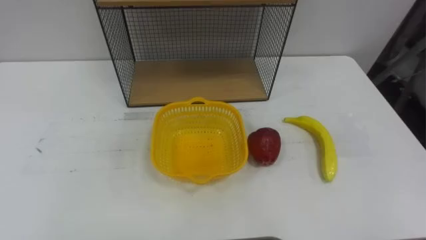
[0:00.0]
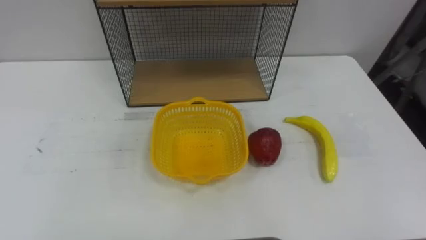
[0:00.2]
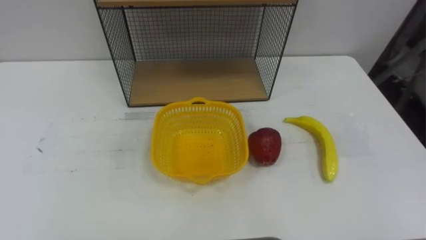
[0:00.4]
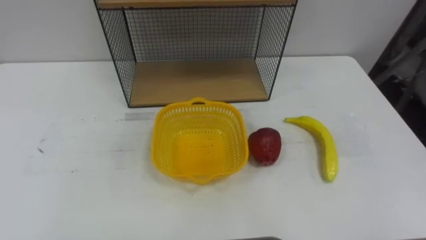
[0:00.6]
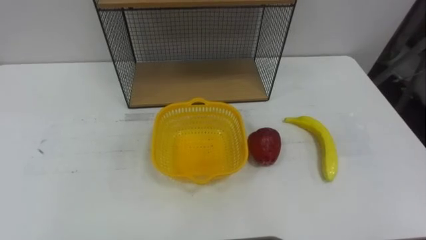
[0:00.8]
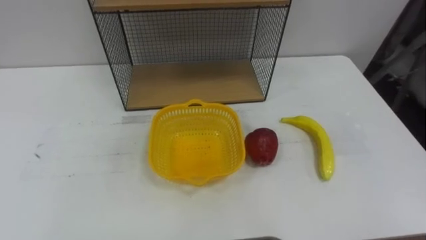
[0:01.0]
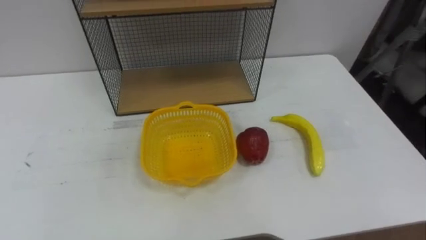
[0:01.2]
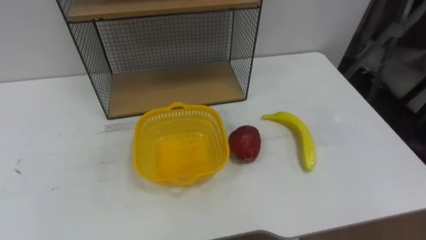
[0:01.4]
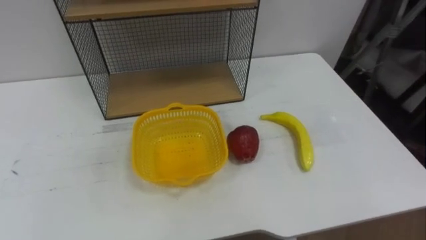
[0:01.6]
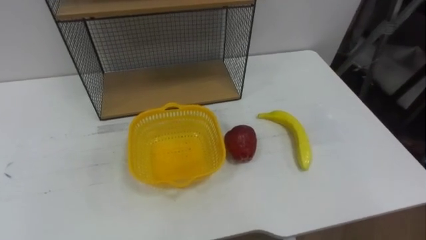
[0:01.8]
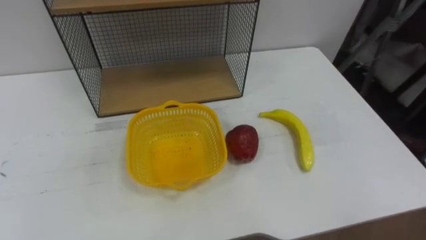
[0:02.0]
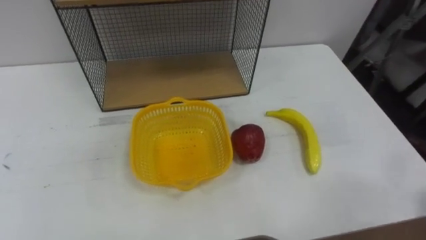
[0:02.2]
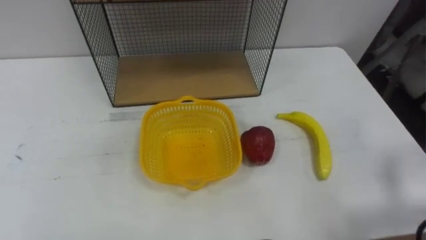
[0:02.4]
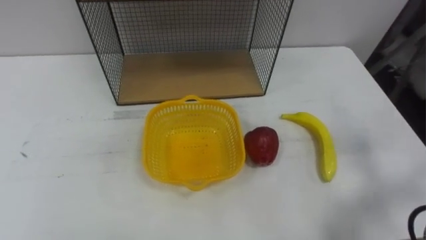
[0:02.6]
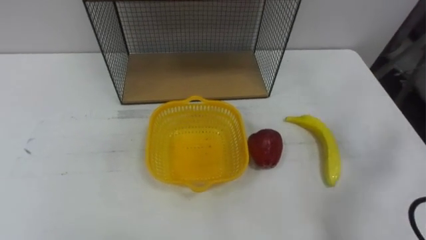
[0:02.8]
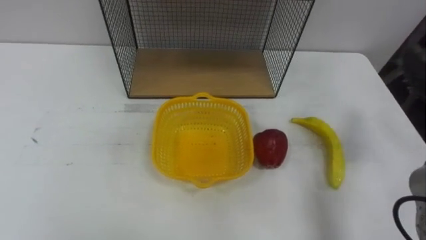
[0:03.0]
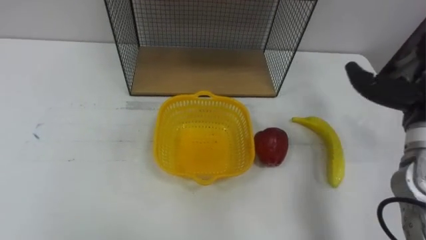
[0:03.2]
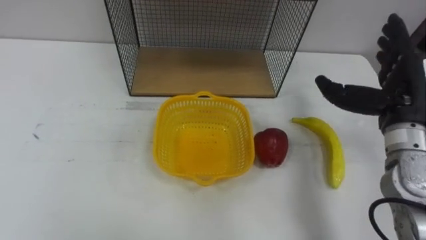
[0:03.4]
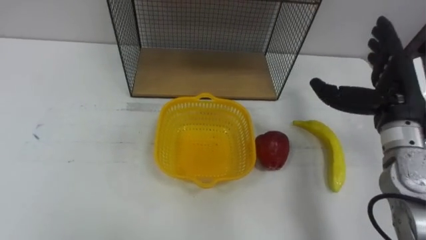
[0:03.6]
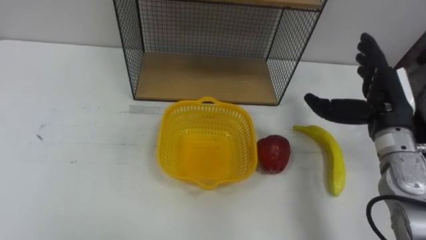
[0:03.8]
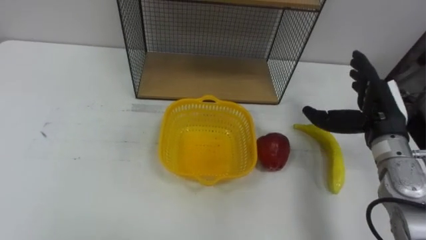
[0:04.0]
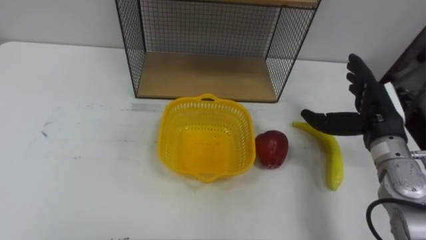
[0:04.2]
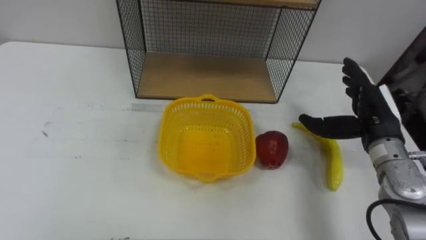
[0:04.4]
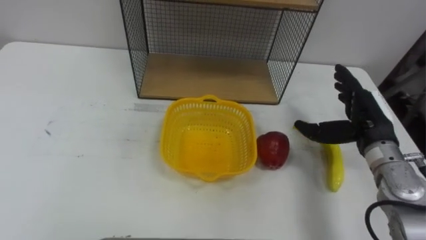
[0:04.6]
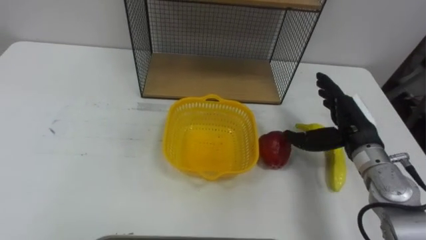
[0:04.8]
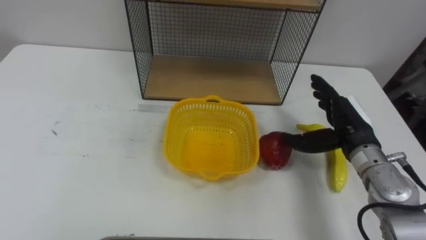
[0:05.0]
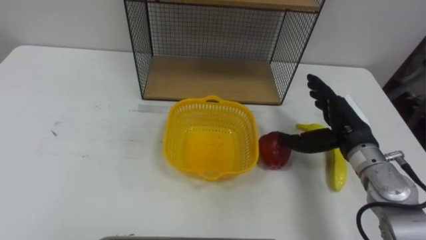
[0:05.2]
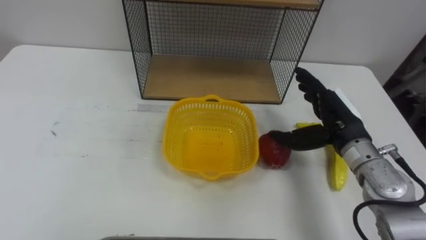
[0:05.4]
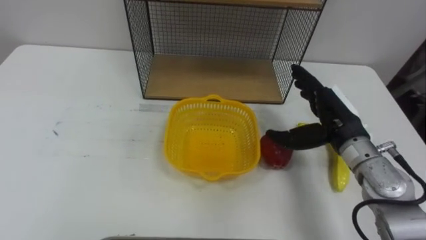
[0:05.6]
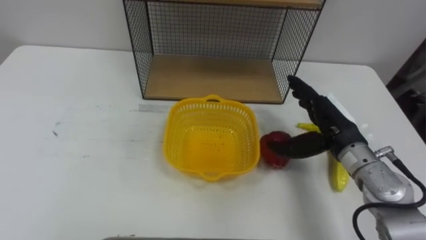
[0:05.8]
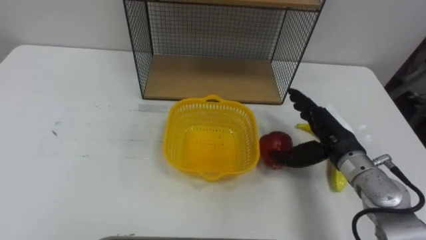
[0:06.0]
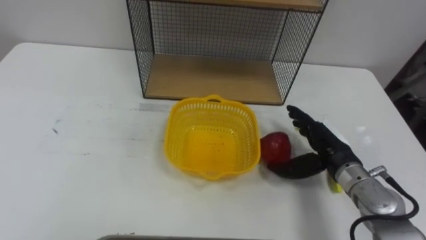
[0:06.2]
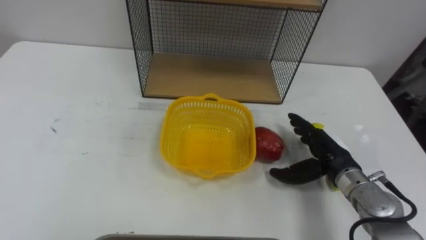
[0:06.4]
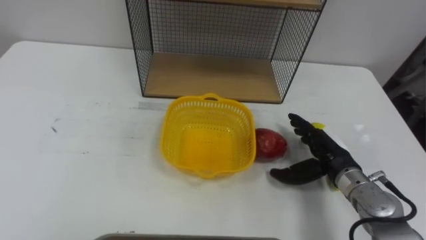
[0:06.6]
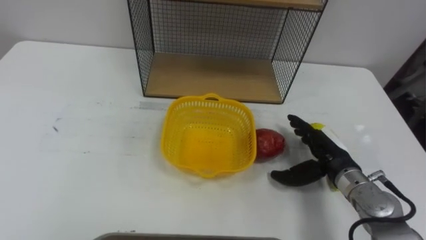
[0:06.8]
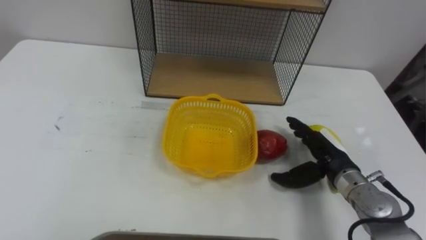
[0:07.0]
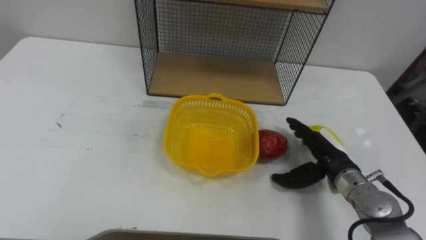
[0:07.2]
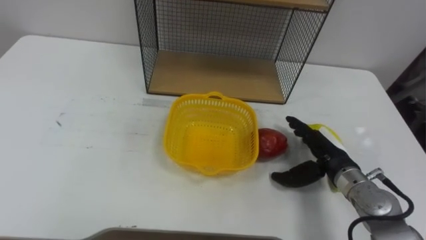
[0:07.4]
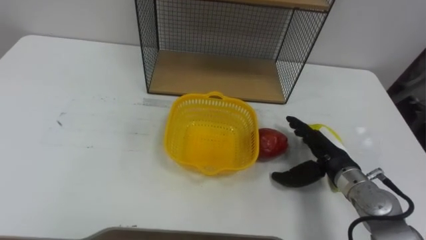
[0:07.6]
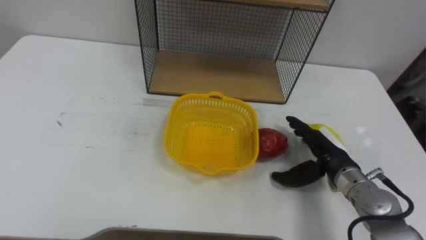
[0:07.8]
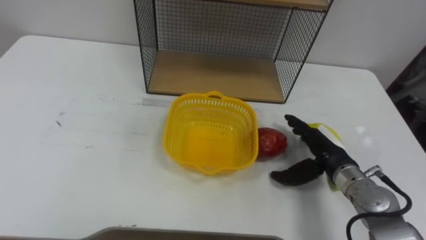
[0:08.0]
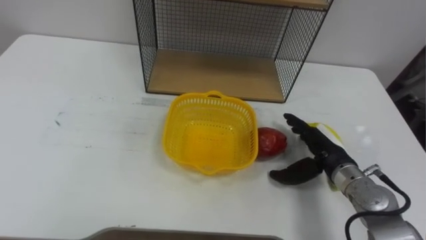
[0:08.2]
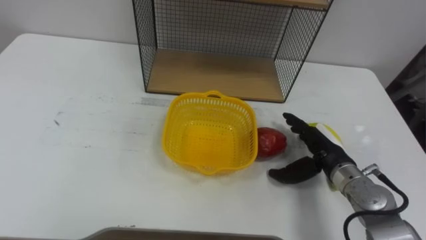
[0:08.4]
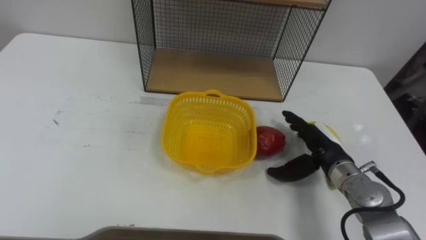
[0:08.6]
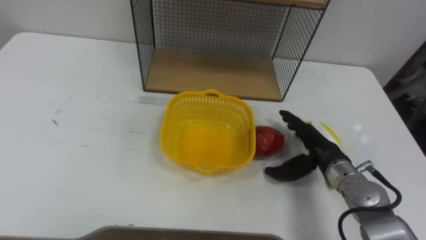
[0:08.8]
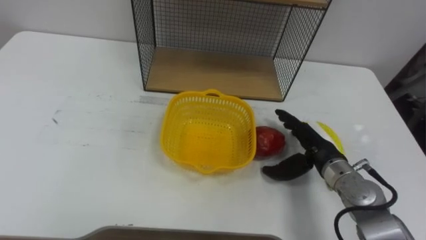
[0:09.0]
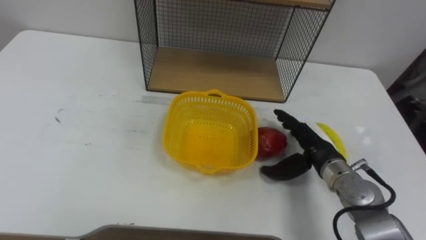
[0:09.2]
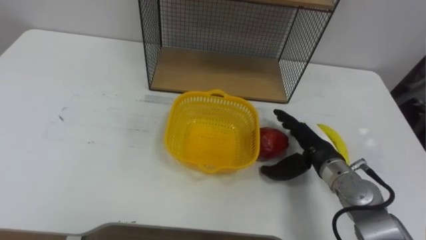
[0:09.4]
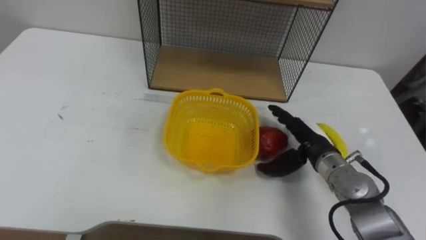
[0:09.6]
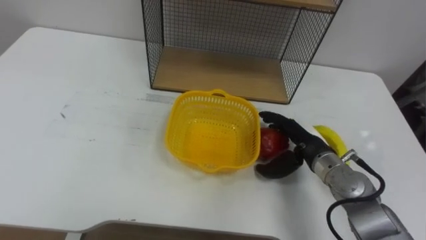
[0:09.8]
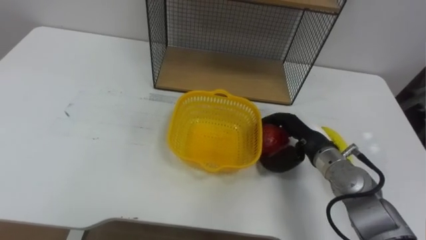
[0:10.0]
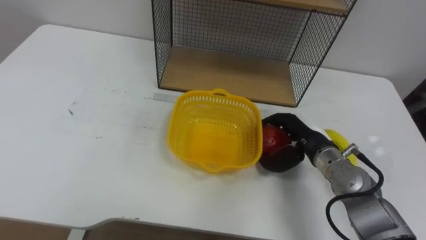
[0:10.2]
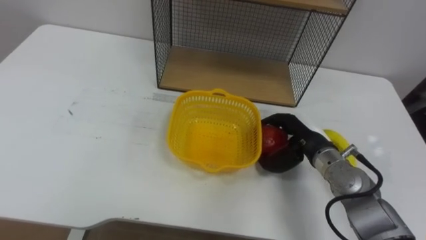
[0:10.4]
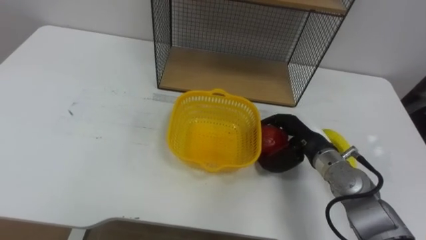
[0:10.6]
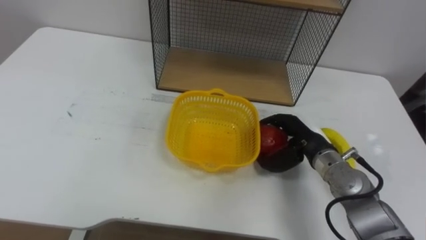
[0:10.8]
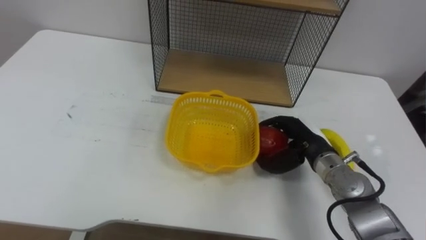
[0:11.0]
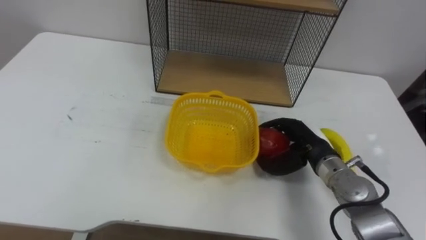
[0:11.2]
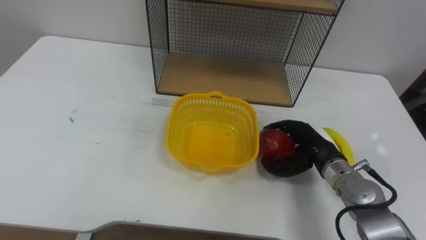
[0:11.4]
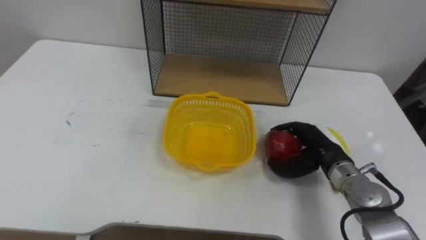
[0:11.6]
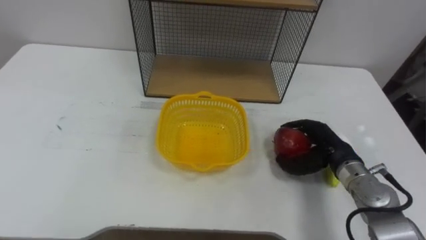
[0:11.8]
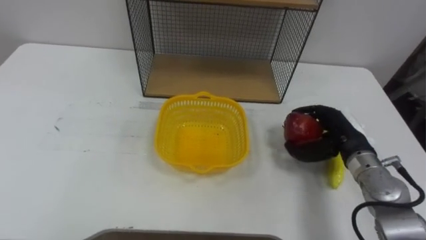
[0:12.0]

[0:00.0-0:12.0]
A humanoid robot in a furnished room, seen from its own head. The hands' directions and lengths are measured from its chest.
Task of the whole recording: Put the fruit on the table into the basket, then place the basket on the shelf.
4.4 to 6.0 s: The right hand shifts about 5 cm to the left.
6.0 to 7.6 s: The right hand heads downward, covering some 5 cm.
9.0 to 10.4 s: The right hand closes its fingers.
10.4 to 12.0 s: The right hand travels to the right by approximately 5 cm.

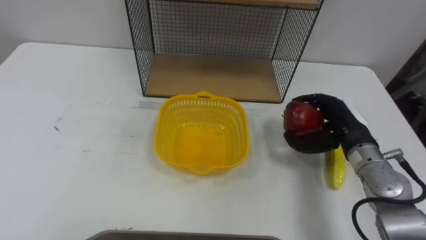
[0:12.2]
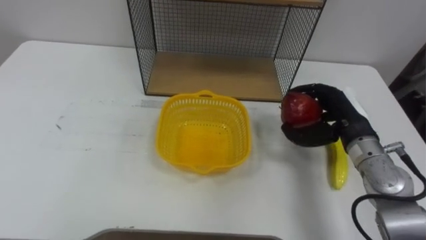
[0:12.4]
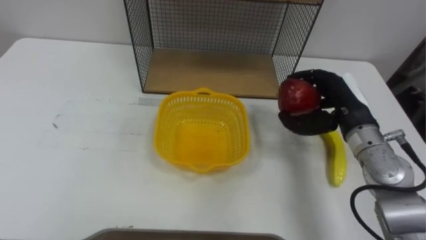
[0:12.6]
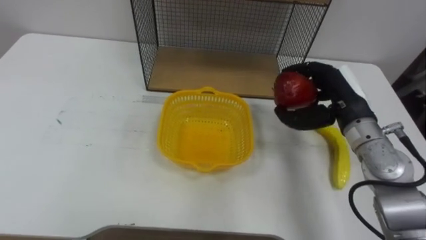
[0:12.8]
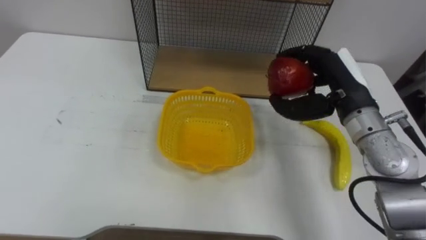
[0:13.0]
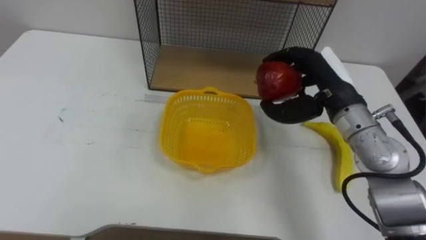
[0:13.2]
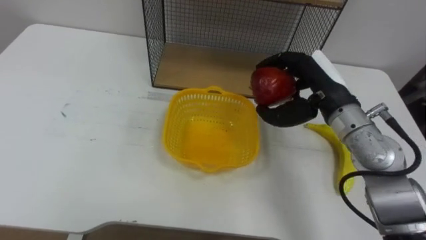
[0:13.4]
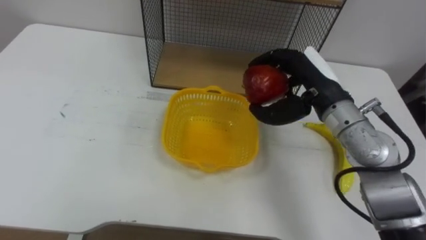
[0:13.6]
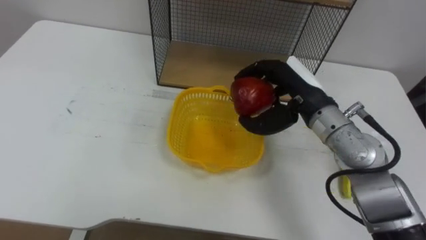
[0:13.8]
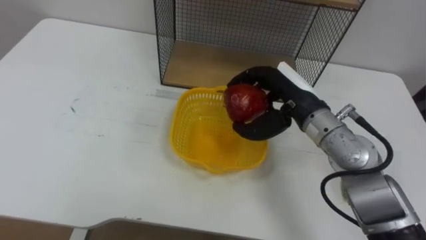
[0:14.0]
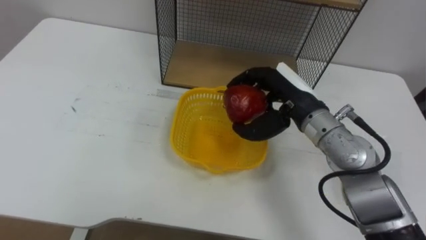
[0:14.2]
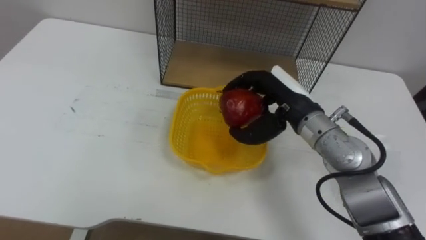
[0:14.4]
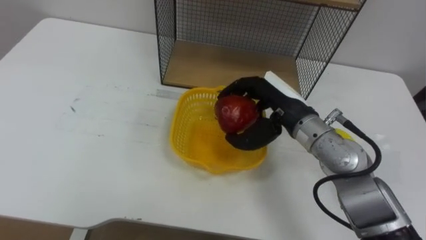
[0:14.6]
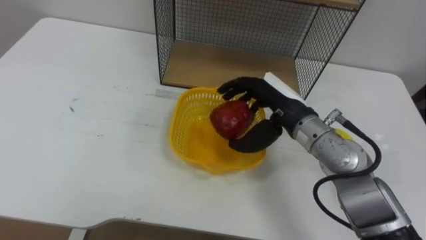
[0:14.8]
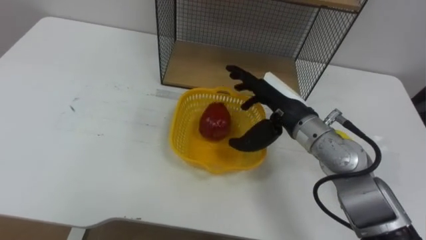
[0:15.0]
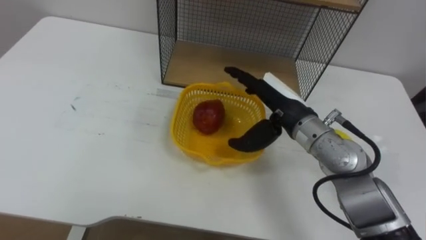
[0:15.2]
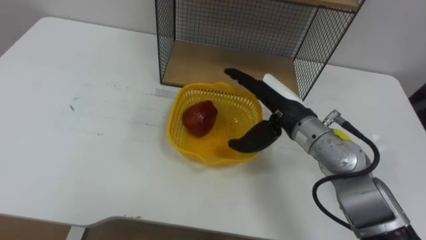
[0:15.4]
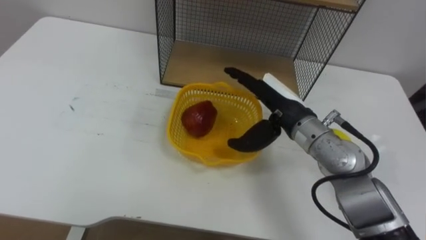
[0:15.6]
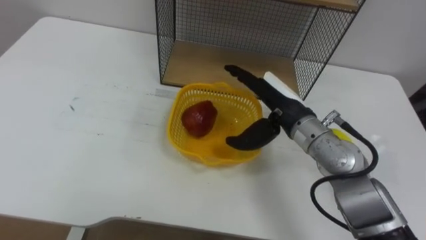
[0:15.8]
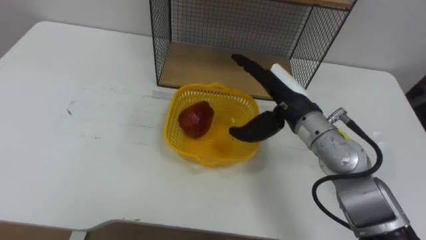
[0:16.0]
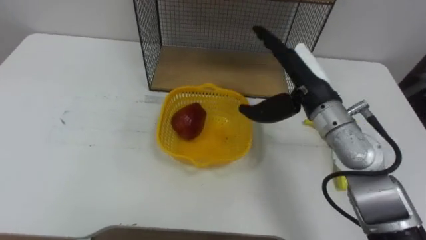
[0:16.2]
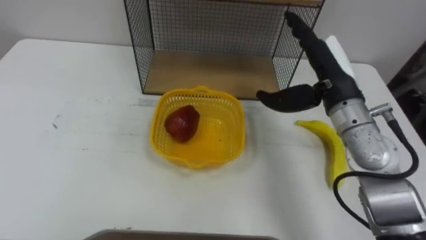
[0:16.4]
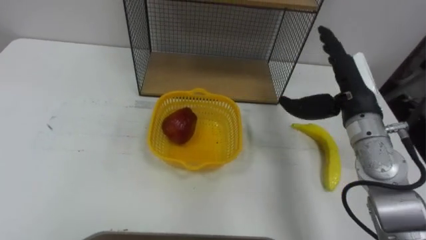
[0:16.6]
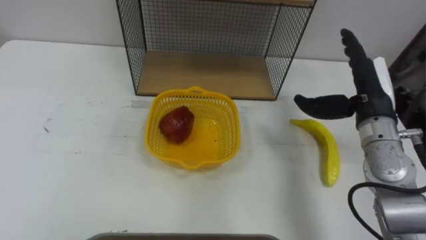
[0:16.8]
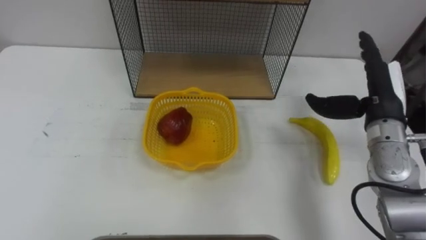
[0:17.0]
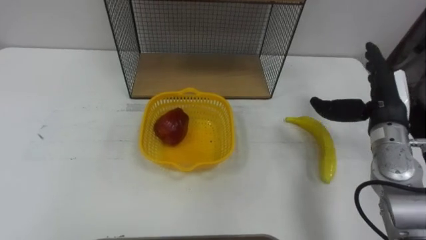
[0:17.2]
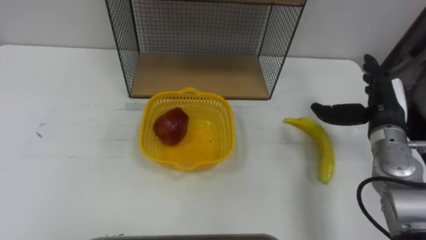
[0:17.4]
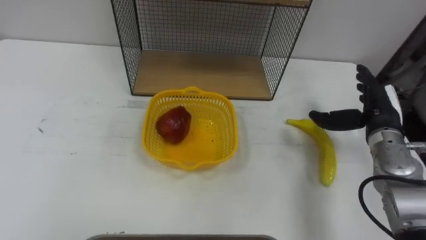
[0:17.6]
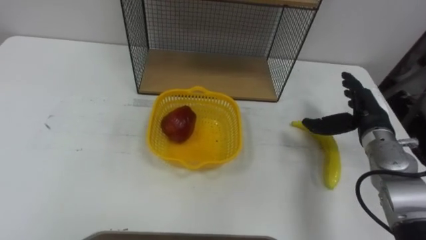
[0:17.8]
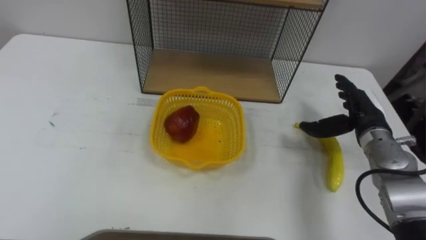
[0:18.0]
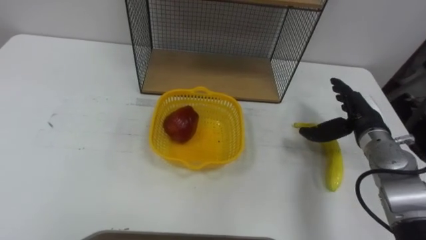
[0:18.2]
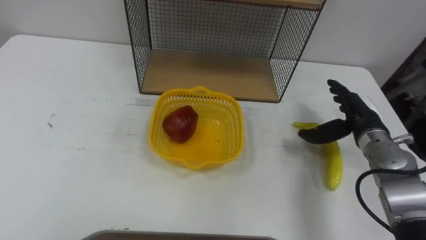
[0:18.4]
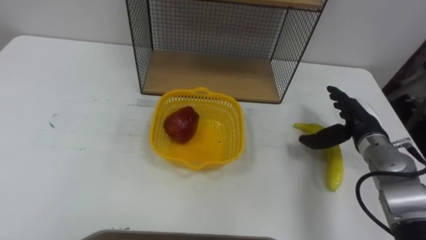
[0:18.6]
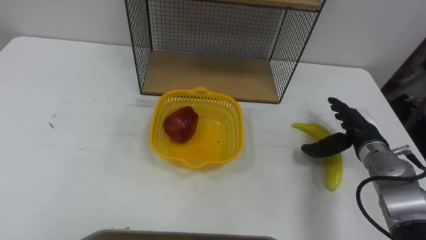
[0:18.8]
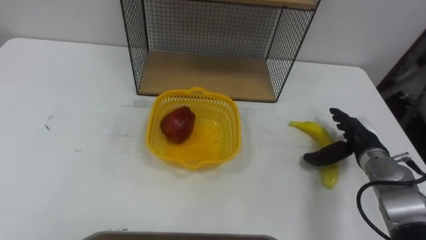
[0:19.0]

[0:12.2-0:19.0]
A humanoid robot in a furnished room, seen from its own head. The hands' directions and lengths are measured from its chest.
Task of the whole recording: Put the fruit on the table into the basket, then place the basket on the shelf.
12.2 to 13.6 s: The right hand is displaced upward and to the left by some 15 cm.
13.6 to 15.0 s: The right hand travels to the left by approximately 5 cm, and opens its fingers.
15.0 to 16.2 s: The right hand moves some 5 cm.
16.2 to 17.6 s: The right hand heads to the right and downward, covering approximately 20 cm.
17.6 to 19.0 s: The right hand is displaced downward by roughly 5 cm.
